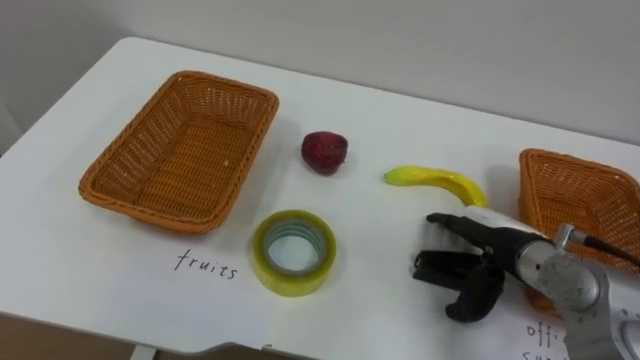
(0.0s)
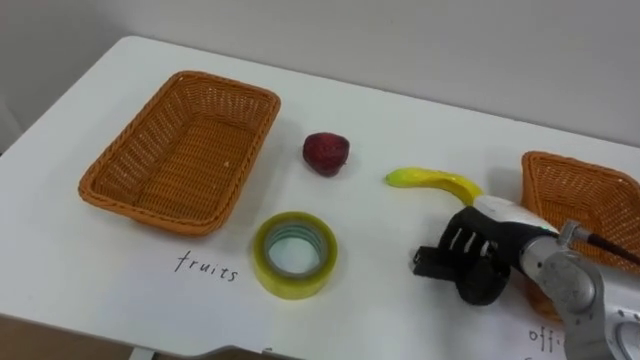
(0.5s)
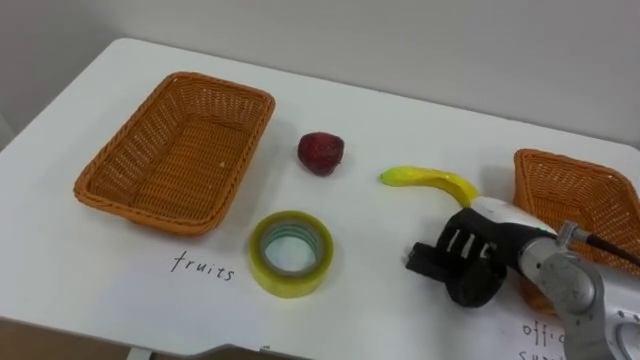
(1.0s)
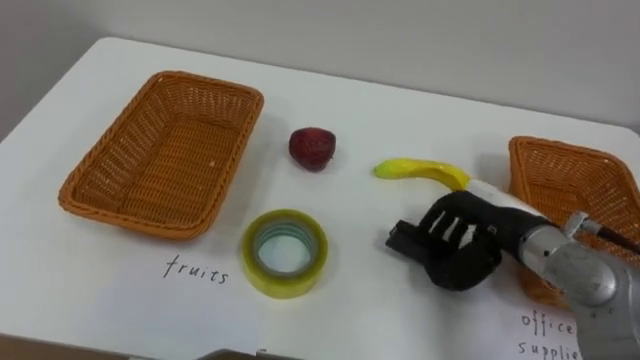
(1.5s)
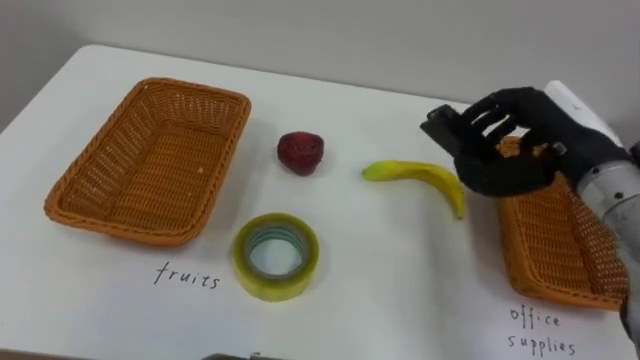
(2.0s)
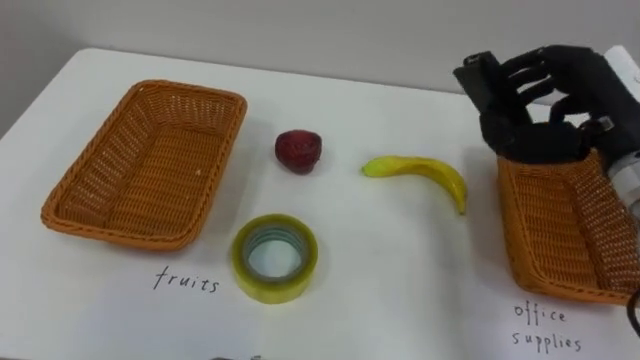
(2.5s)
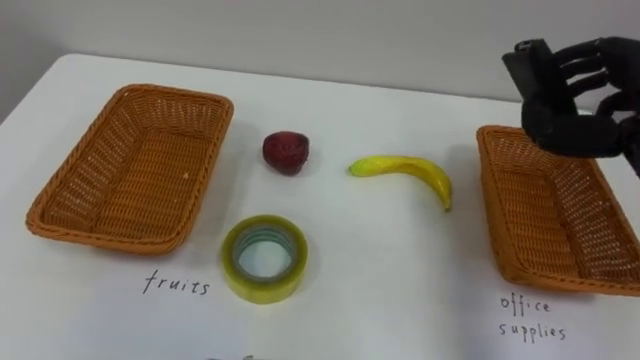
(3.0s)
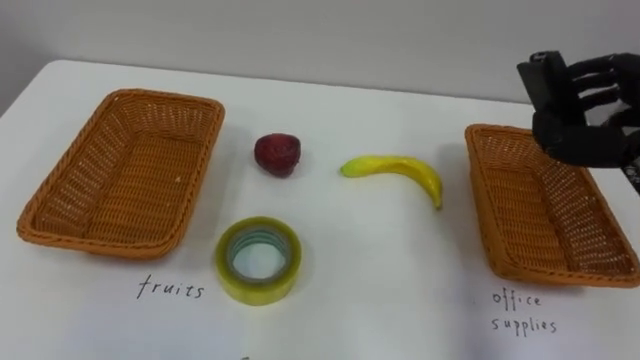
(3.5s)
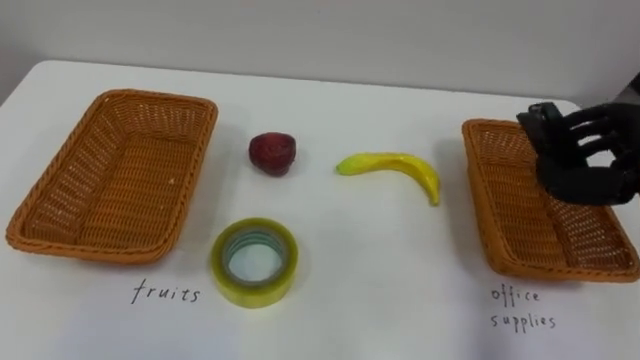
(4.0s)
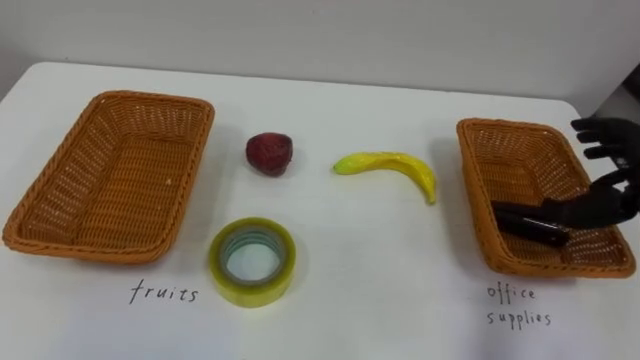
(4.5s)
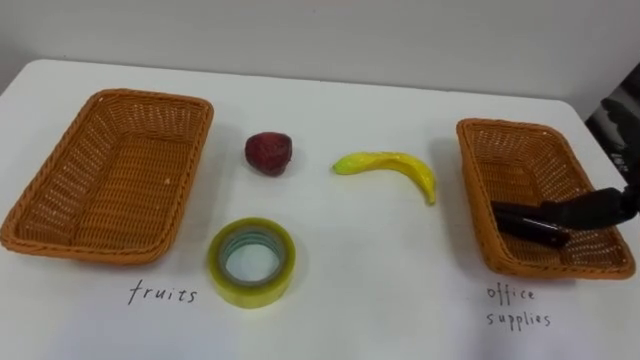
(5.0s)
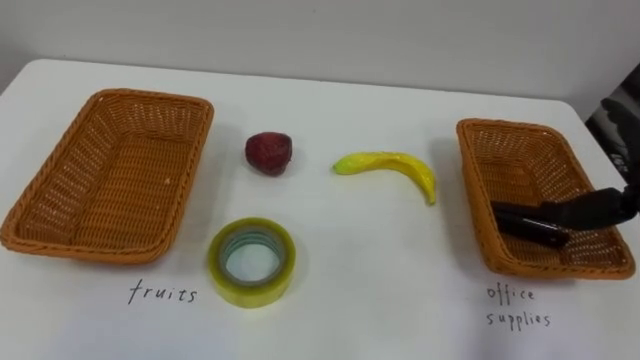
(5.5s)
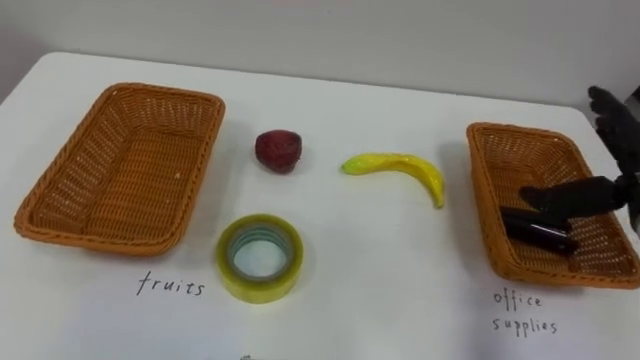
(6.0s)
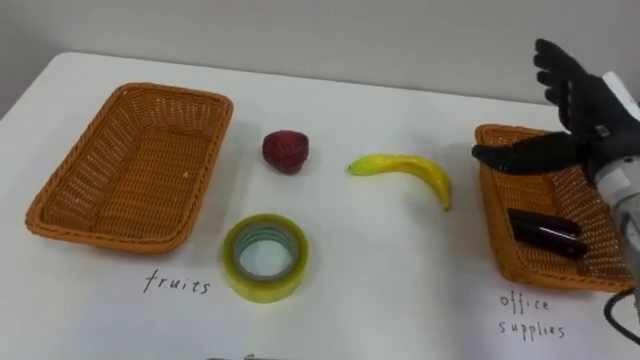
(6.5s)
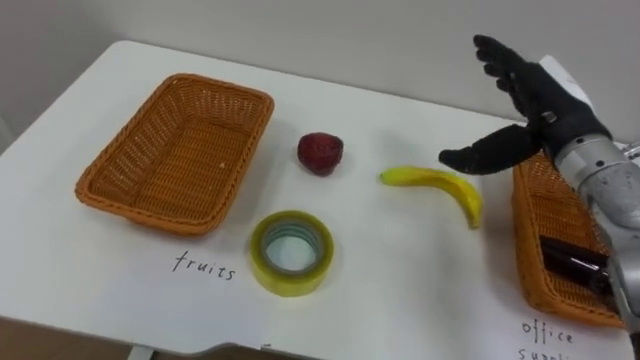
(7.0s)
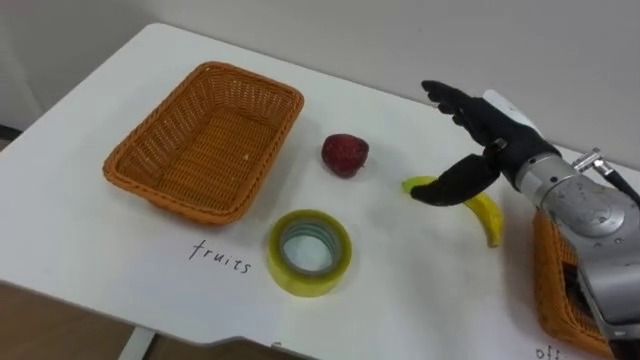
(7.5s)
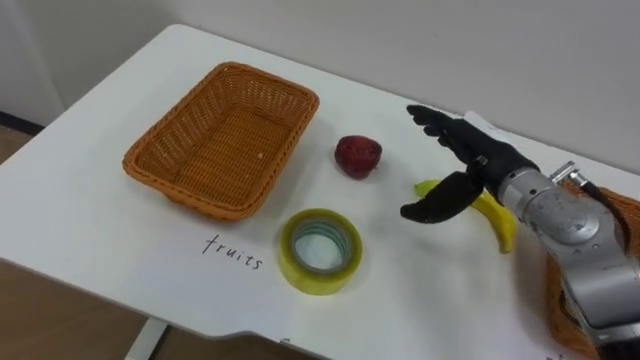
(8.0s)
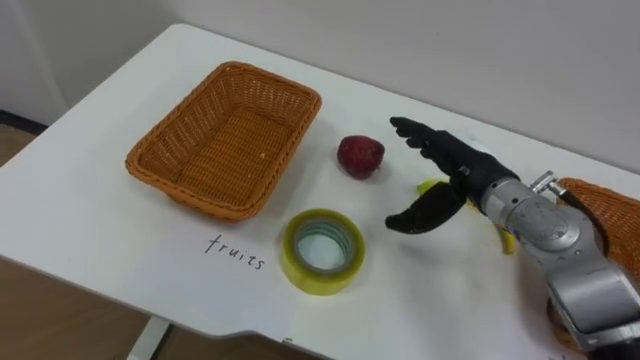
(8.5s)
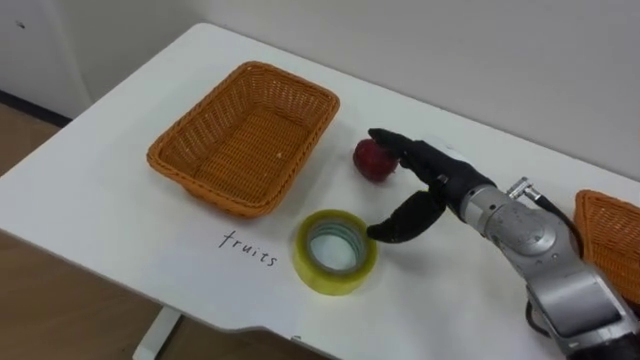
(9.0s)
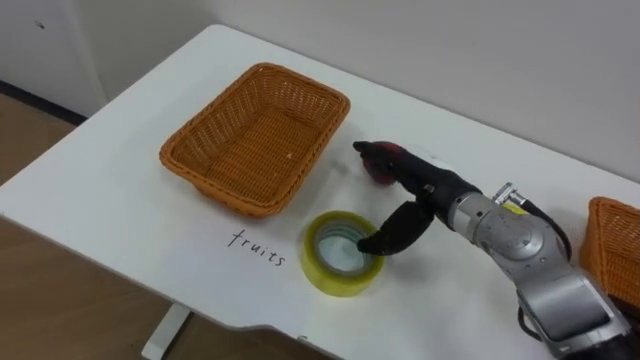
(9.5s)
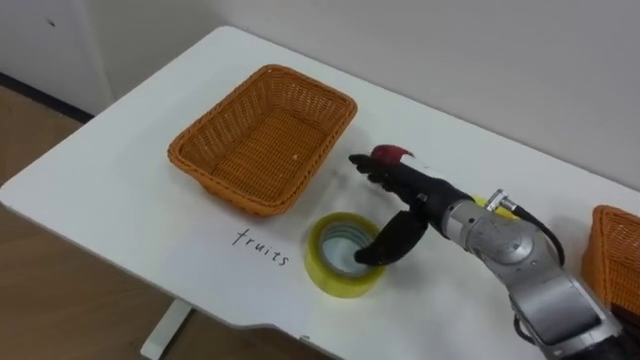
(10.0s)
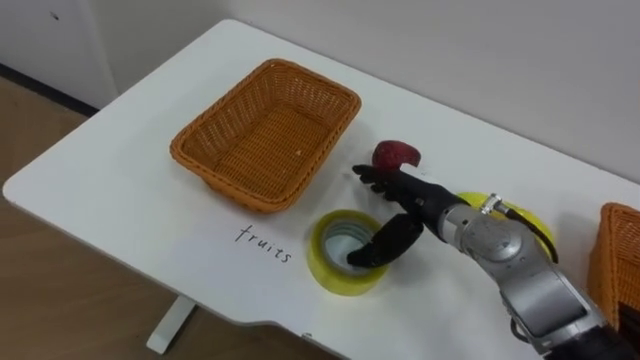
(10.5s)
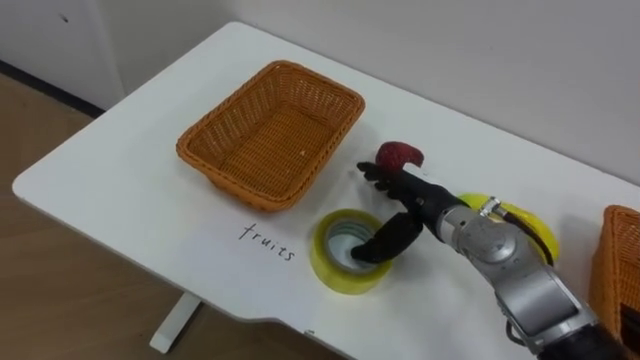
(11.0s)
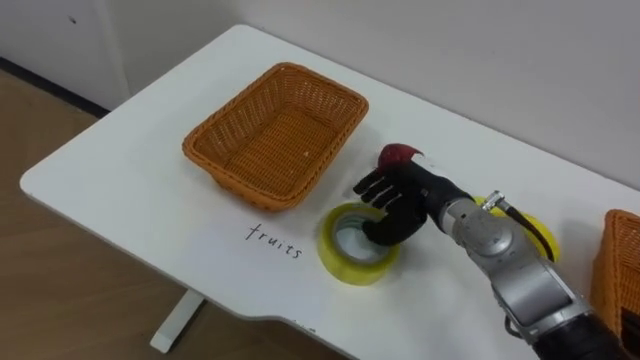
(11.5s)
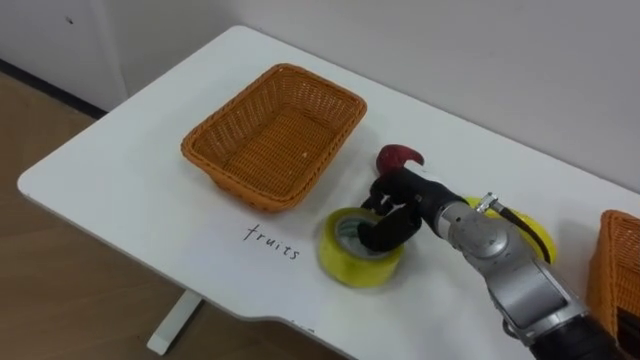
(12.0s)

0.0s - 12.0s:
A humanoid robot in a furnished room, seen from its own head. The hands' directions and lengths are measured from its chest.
Task of the whole recording: Separate the items on the table and place them into the two baskets.
0.0s - 2.0s: The right hand is displaced upward by about 15 cm, and closes its fingers.
6.0s - 8.0s: The right hand moves to the left, roughly 15 cm.
8.0s - 10.0s: The right hand travels to the left by roughly 5 cm.
10.0s - 12.0s: The right hand closes its fingers.

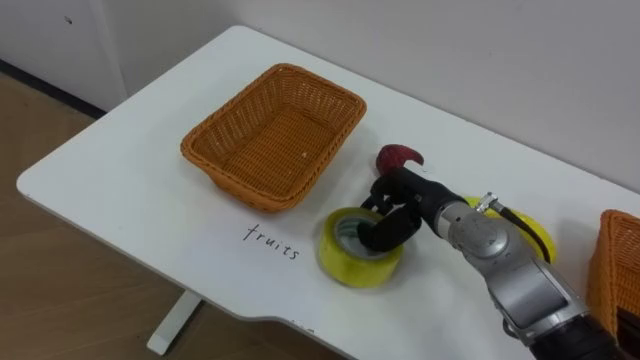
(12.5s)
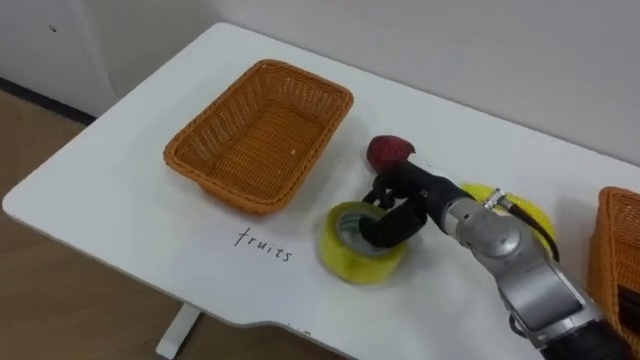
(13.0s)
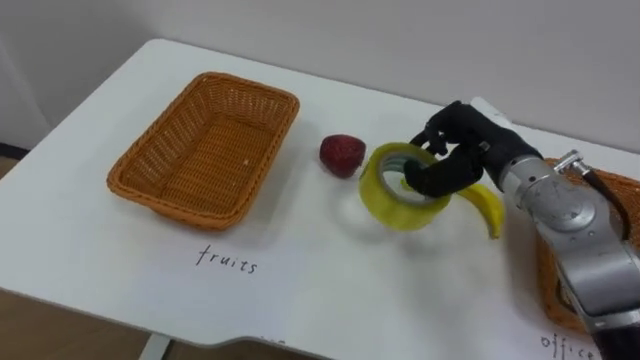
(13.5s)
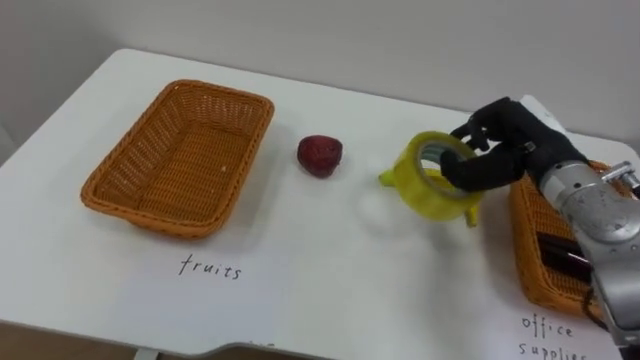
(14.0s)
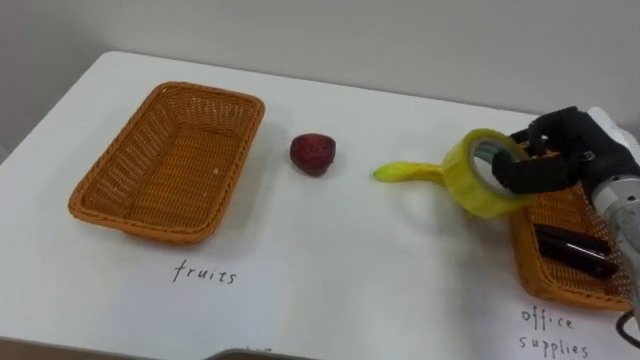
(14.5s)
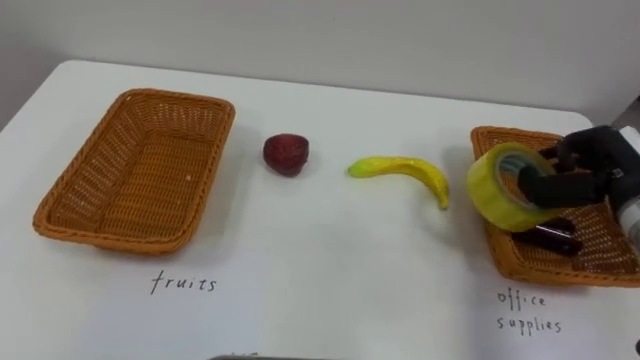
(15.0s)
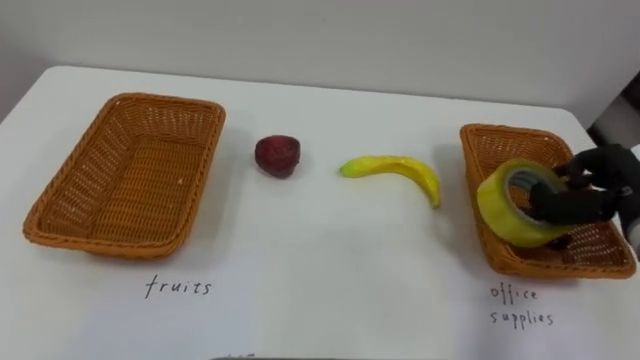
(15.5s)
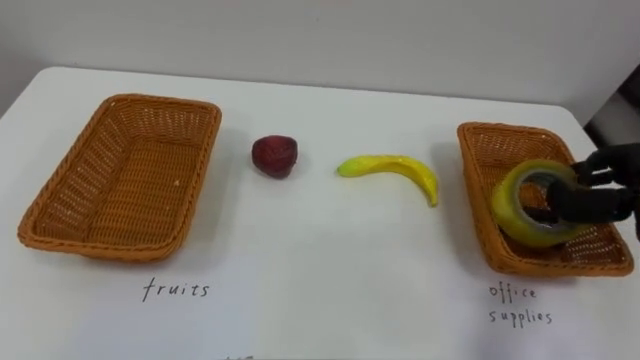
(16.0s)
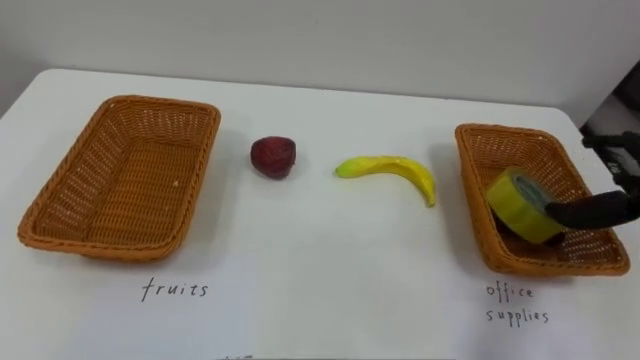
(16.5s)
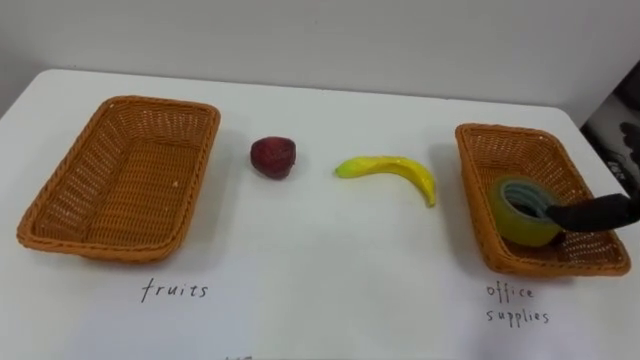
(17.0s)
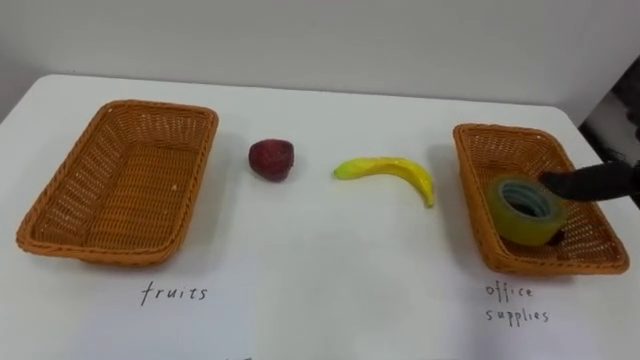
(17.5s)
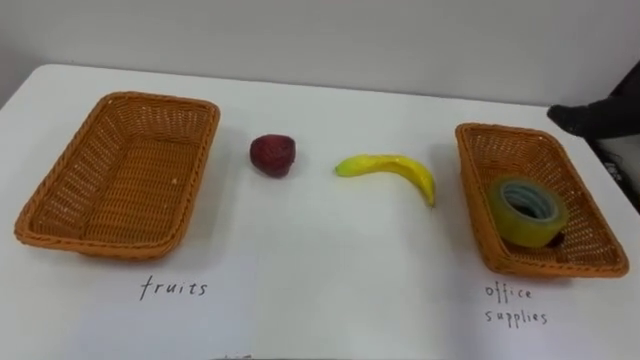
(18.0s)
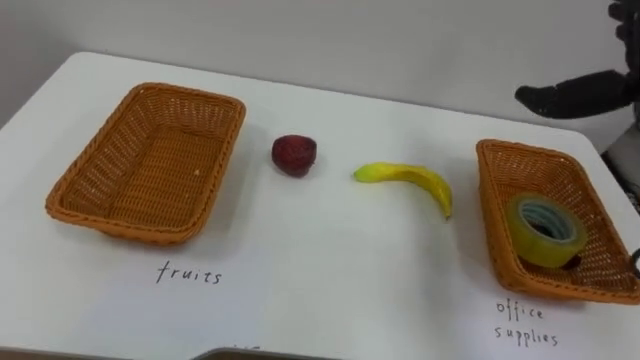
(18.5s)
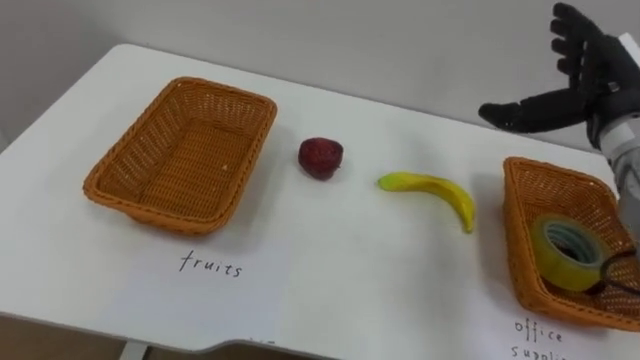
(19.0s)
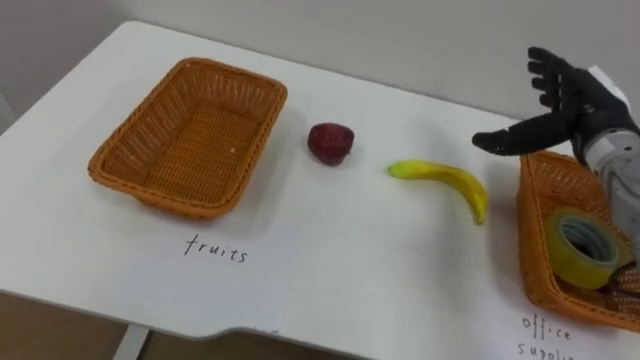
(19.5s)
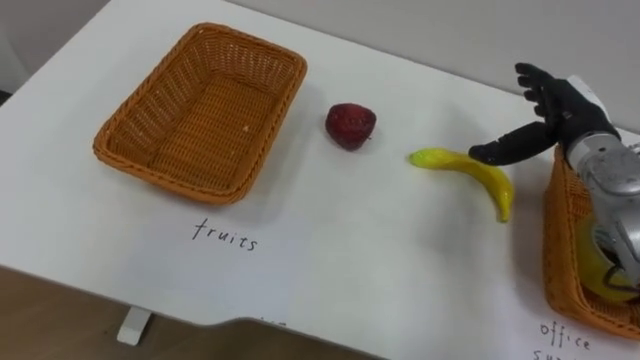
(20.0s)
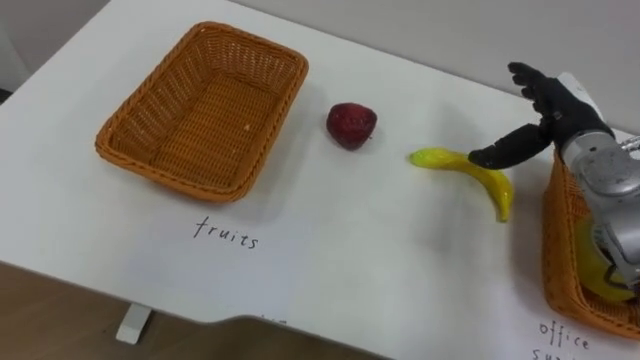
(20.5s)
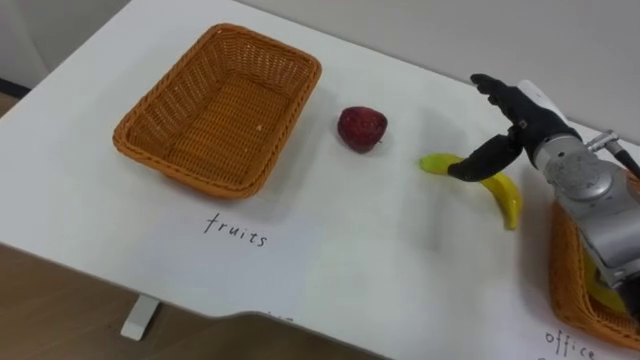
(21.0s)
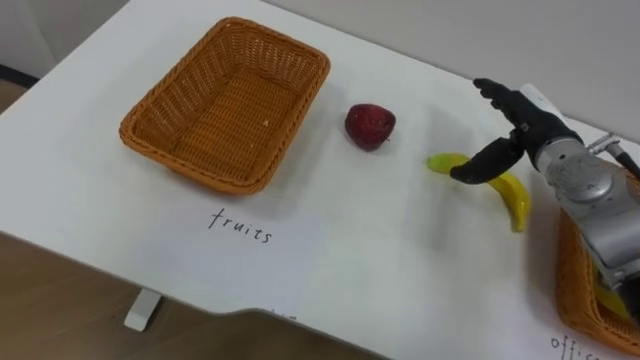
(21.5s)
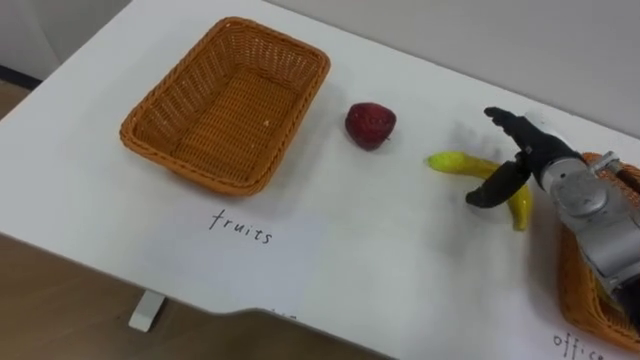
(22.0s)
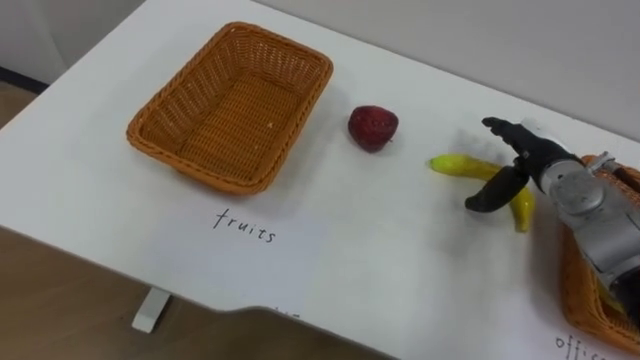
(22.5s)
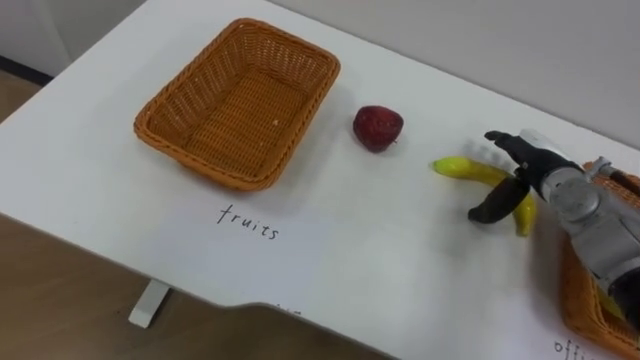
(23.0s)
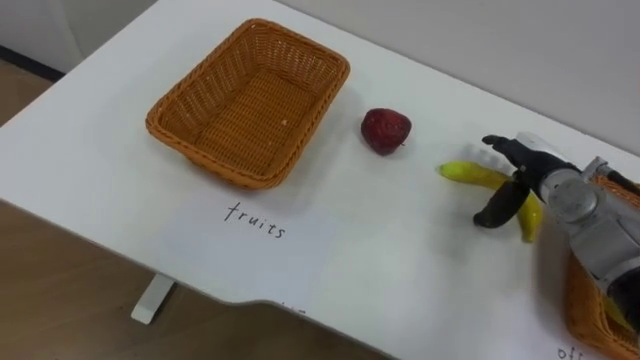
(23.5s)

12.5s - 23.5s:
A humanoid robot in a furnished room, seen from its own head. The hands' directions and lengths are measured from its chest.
Task of the whole recording: Separate the items on the table and place them into the two baskets.
12.5s - 14.5s: The right hand goes about 20 cm to the right and upward.
21.5s - 23.5s: The right hand shifts some 5 cm downward.
